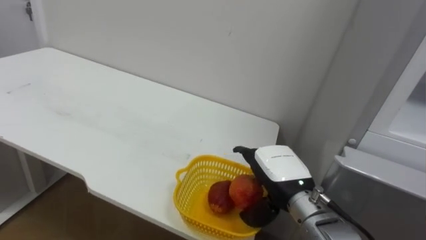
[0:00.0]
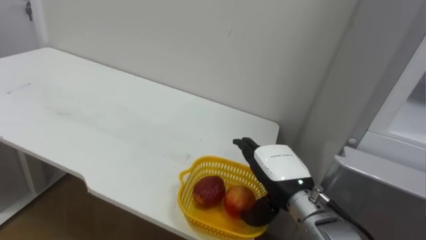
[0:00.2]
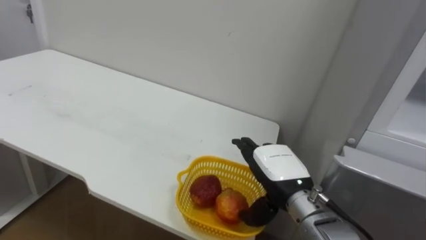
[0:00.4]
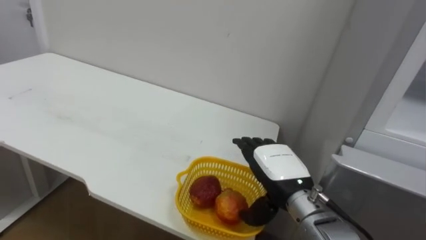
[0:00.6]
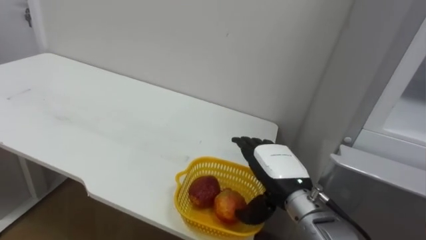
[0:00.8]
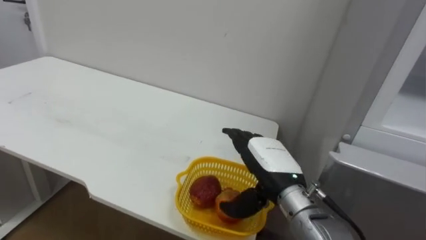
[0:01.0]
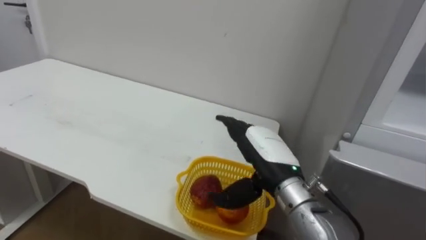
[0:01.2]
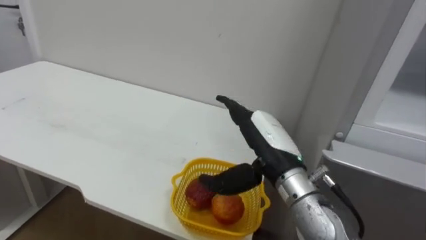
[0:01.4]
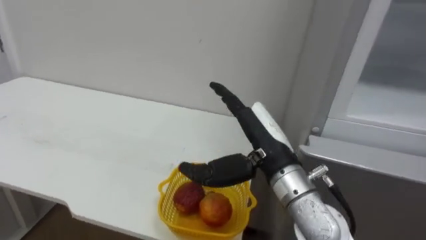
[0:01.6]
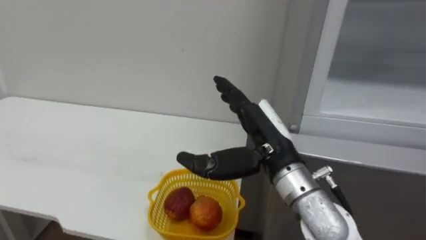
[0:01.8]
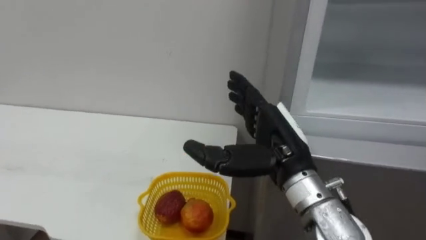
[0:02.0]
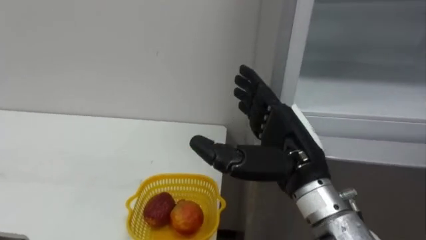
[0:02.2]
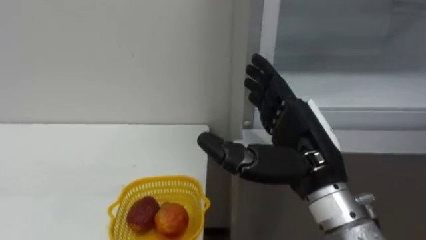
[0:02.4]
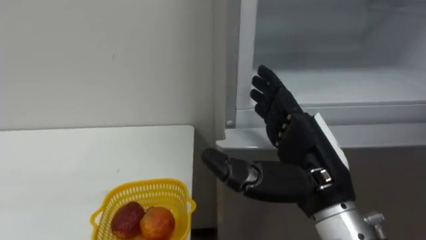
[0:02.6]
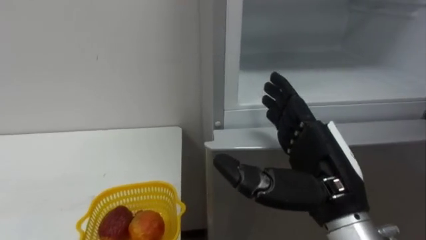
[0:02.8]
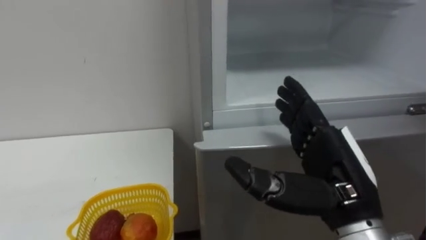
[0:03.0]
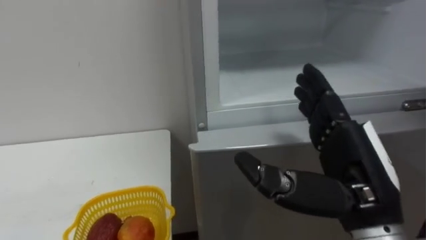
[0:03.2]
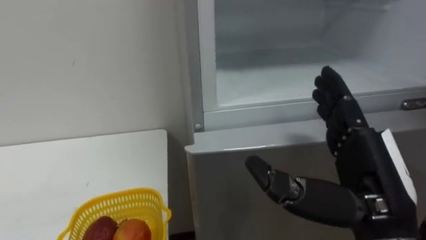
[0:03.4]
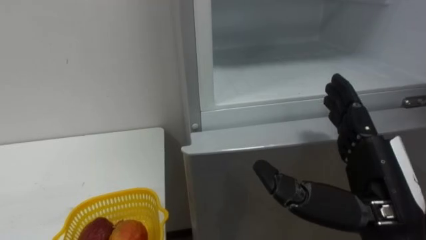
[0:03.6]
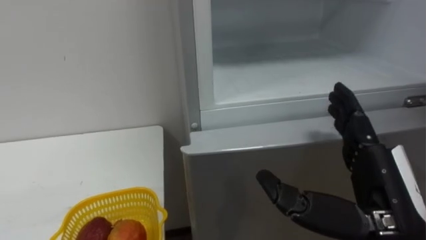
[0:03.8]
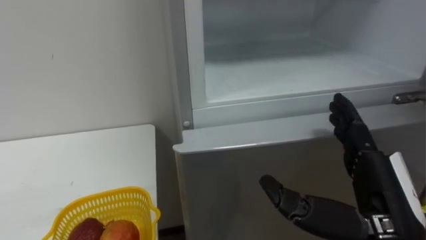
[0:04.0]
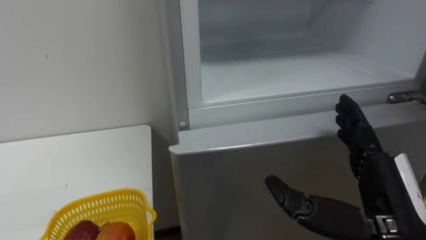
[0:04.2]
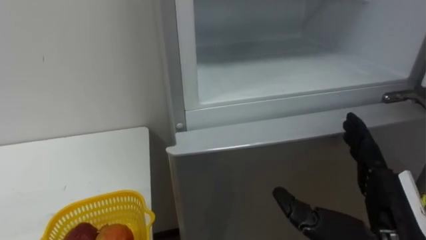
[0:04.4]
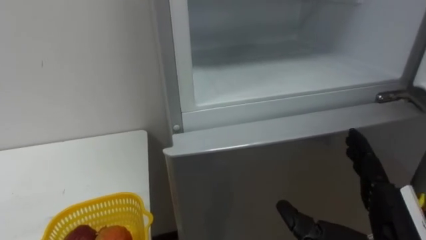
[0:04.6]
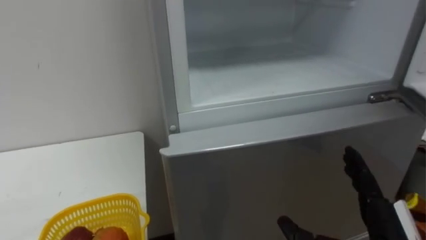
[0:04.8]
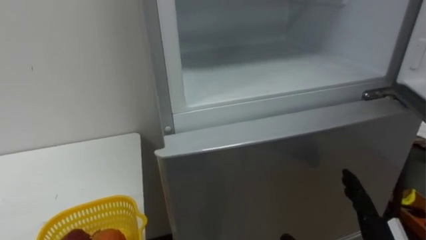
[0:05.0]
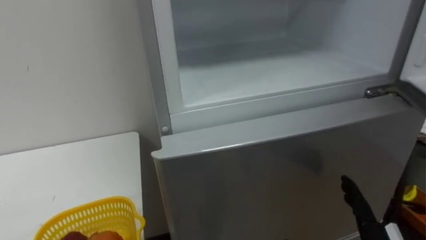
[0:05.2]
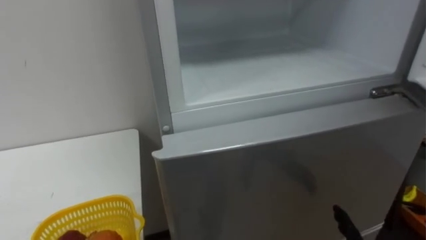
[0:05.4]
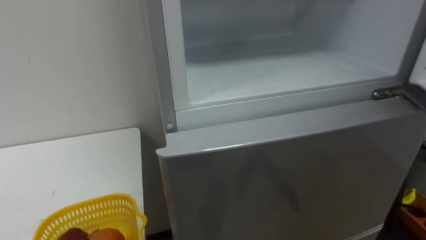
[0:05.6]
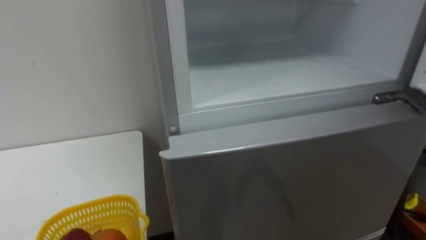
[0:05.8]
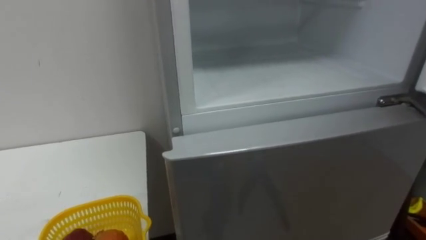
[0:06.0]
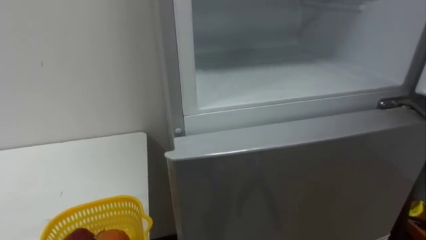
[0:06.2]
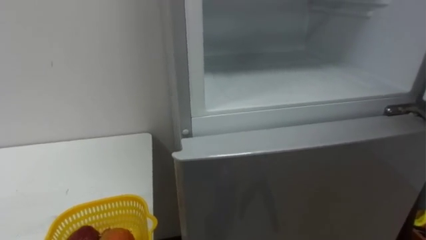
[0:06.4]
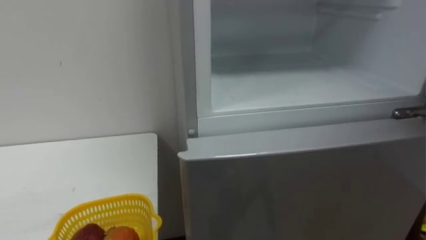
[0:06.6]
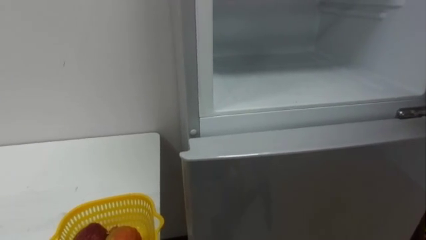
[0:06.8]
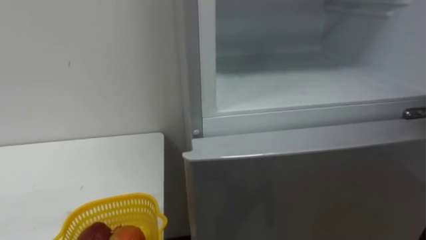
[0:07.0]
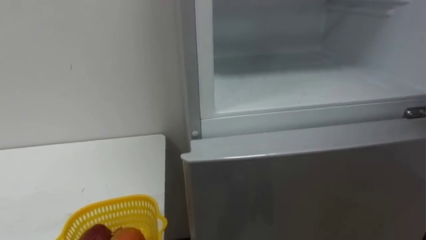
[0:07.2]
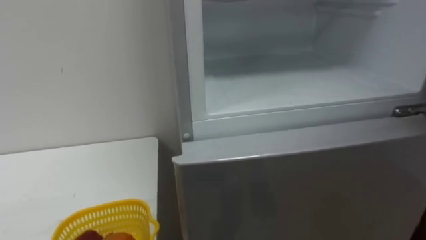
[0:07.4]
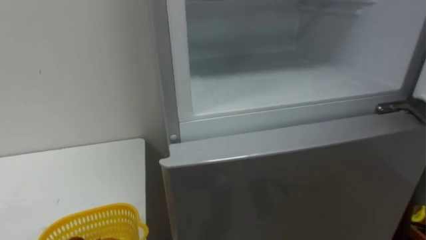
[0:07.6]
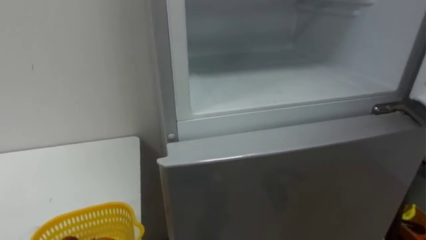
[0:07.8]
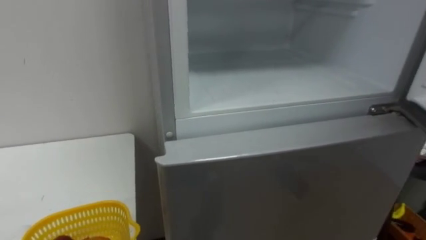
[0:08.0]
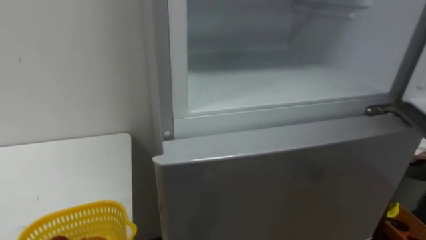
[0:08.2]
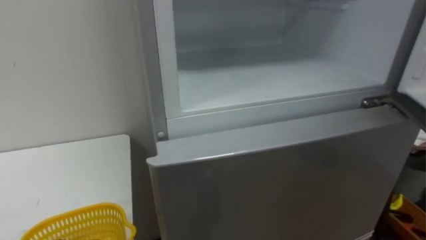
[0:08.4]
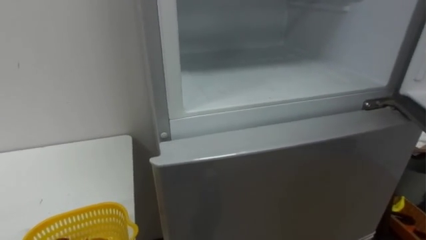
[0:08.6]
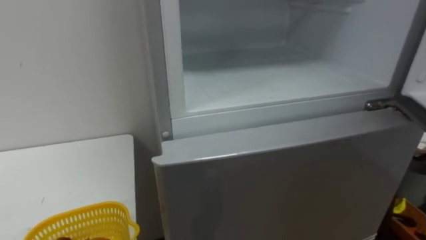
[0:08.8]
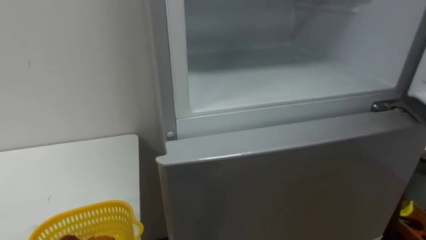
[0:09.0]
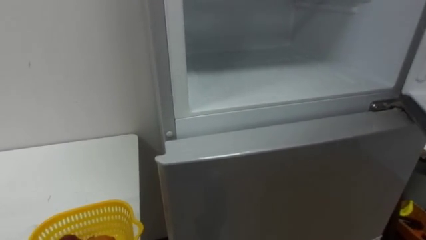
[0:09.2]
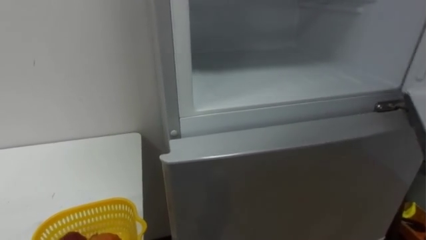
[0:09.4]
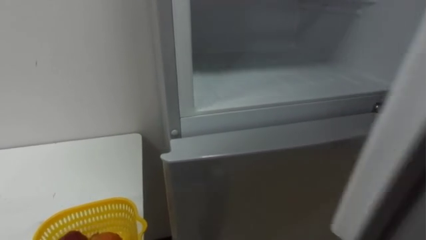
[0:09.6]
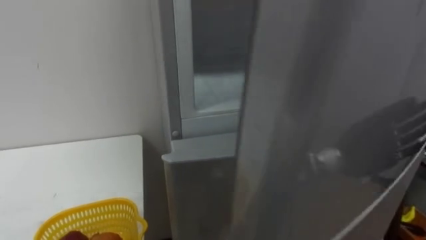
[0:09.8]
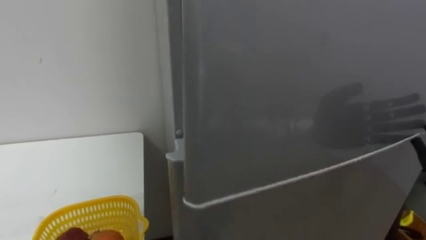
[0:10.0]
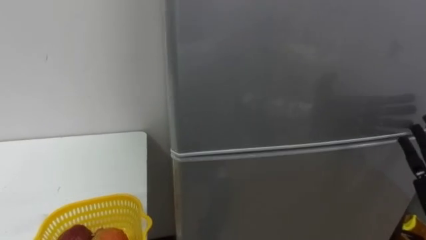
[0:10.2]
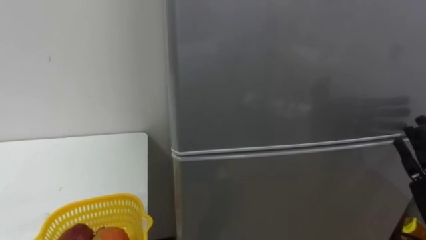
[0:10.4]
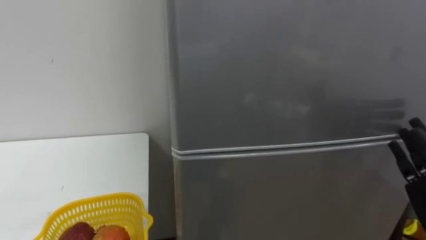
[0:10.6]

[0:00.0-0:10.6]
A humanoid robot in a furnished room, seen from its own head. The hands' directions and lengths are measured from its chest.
Task of the whole recording: Open the refrigerator door, take out the apple and the pomegranate, place them in the fruit basket on the left, and close the refrigerator door.
0:00.0 to 0:01.6: The right hand shifts some 10 cm upward.
0:01.6 to 0:03.0: The right hand goes about 10 cm to the right and backward.
0:03.0 to 0:04.6: The right hand moves to the right and downward, some 10 cm.

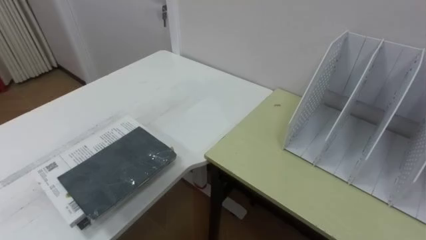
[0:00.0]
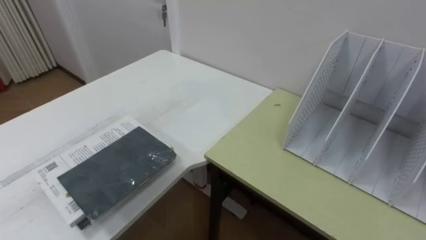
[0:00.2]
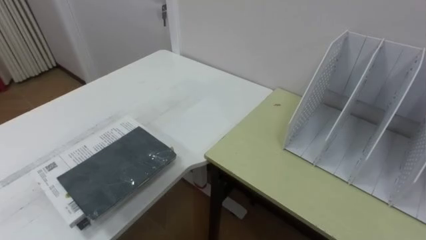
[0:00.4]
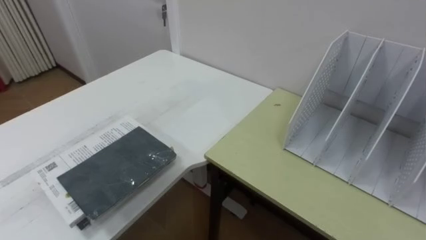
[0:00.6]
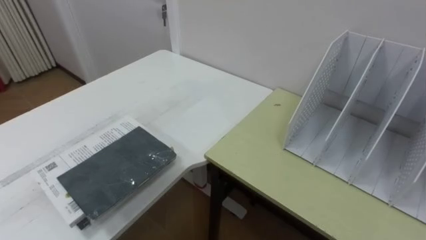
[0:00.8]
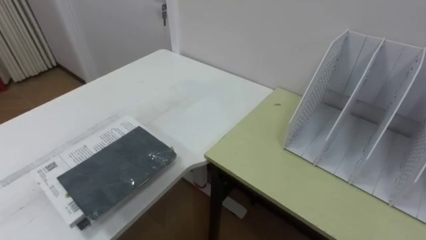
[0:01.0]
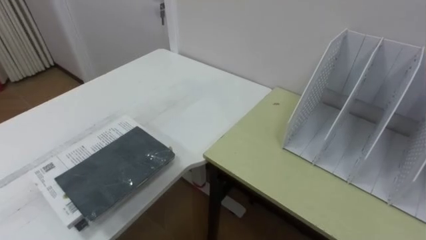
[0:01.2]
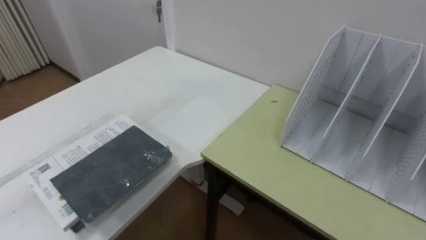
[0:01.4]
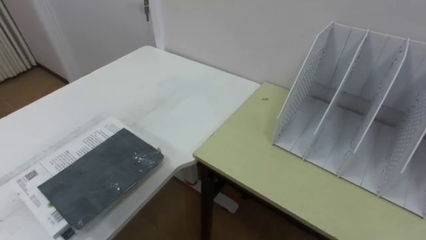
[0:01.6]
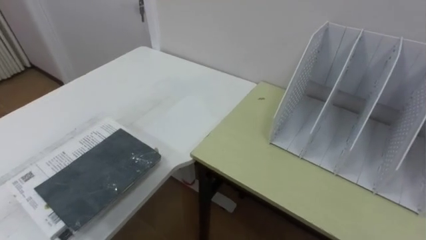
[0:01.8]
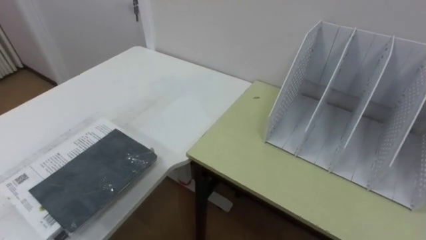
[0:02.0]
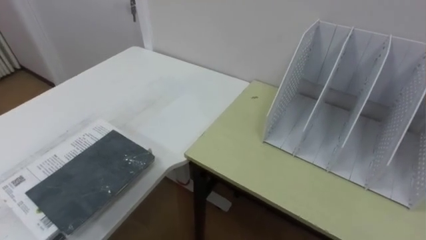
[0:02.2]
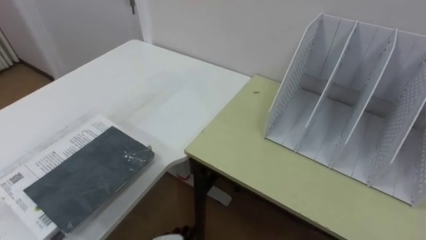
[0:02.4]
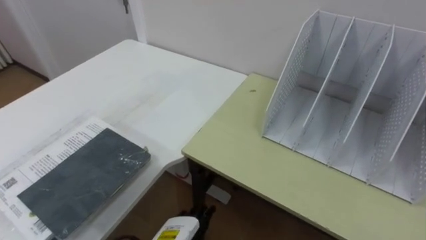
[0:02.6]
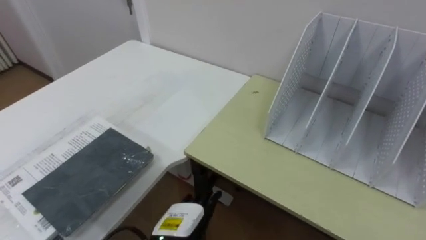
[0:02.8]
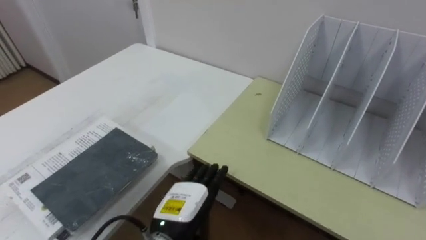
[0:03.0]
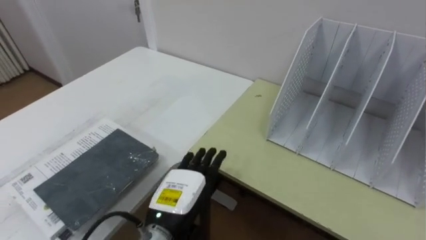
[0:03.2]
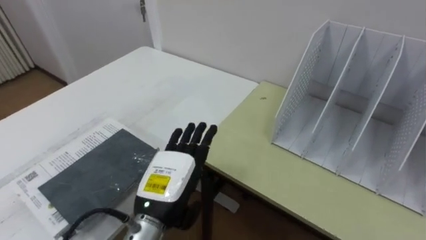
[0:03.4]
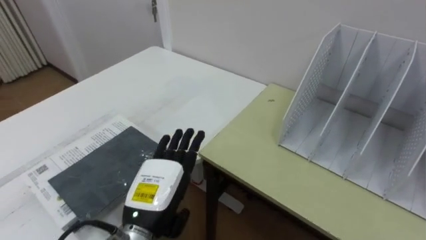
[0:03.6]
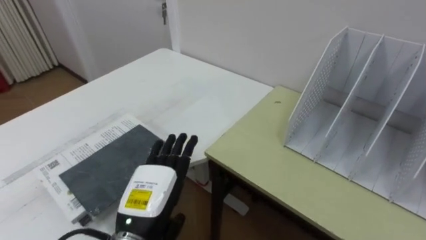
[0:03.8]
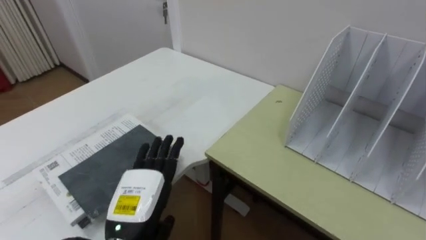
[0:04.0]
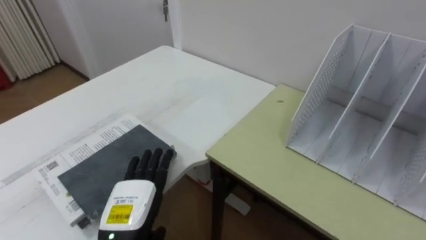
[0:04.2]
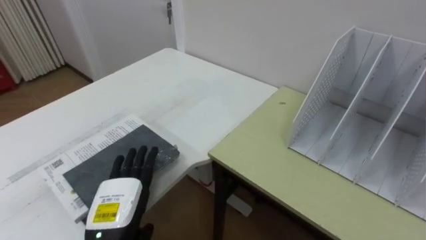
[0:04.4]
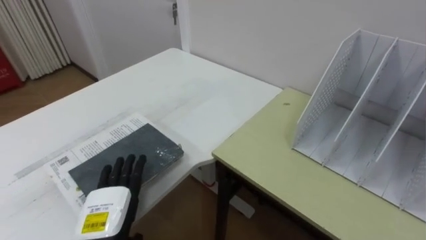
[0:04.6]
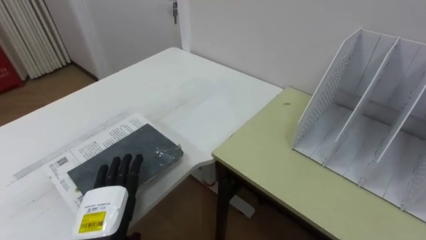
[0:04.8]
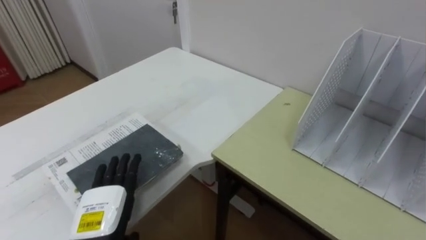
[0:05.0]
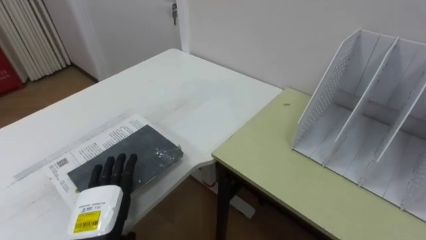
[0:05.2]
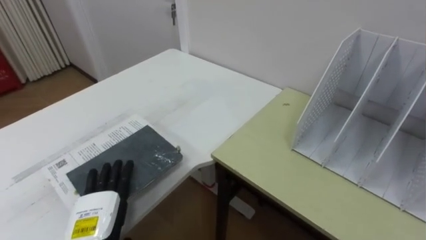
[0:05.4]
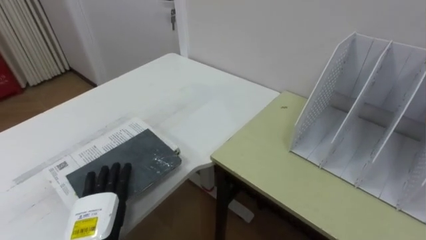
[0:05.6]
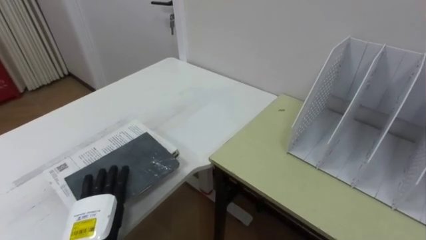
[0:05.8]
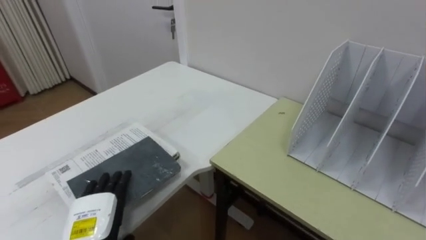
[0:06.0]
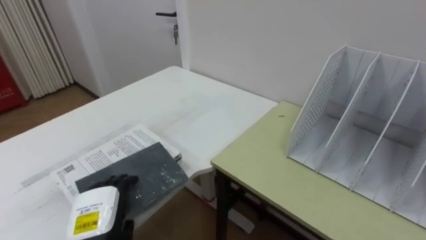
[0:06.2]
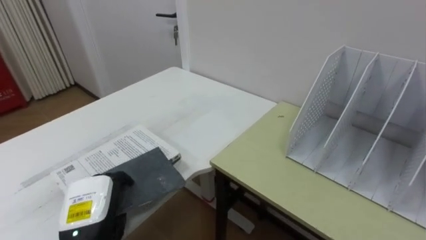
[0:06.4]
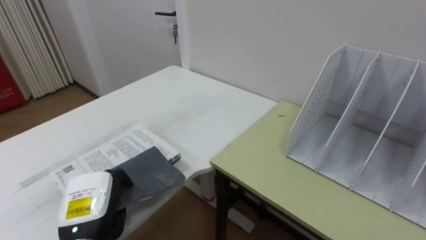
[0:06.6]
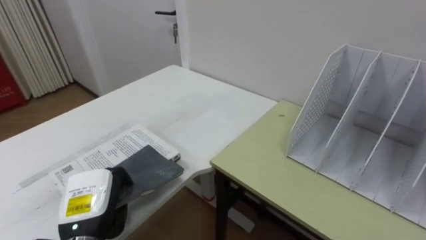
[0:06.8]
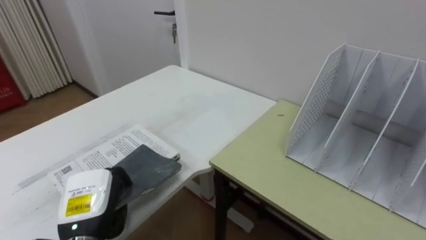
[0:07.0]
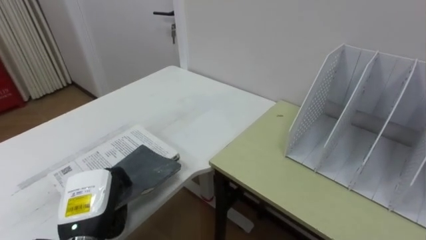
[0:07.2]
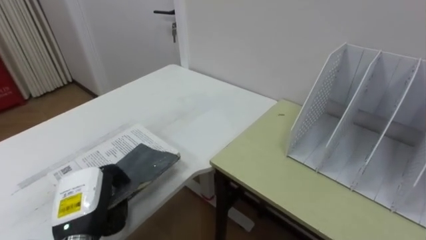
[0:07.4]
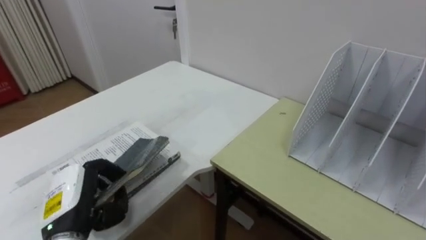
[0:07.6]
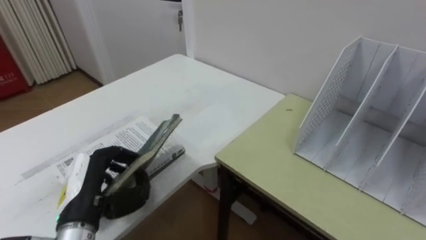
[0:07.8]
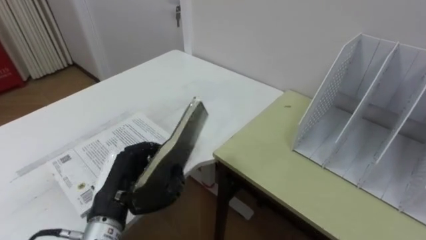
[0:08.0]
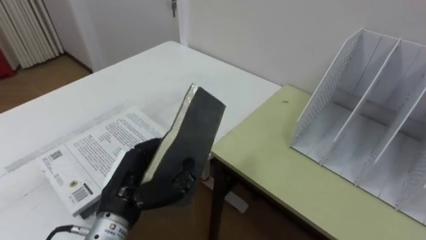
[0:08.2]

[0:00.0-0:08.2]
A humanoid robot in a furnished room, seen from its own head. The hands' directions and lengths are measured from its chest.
Task of the whole recording: Put the books on the table onto the bookshelf.
0:03.2 to 0:05.0: The left hand moves to the left, some 10 cm.
0:05.0 to 0:06.6: The left hand closes up.
0:06.6 to 0:08.2: The left hand shifts approximately 10 cm to the right and upward.
